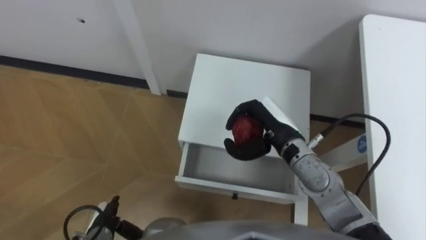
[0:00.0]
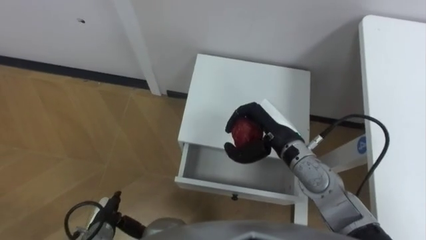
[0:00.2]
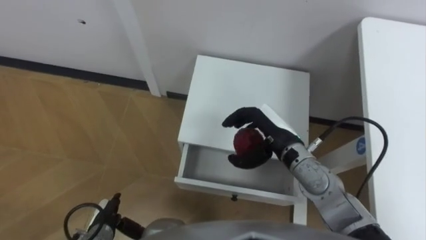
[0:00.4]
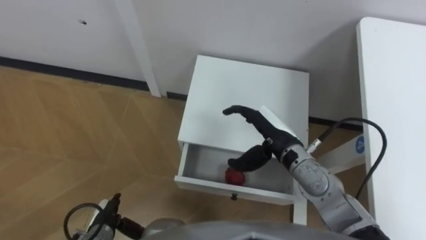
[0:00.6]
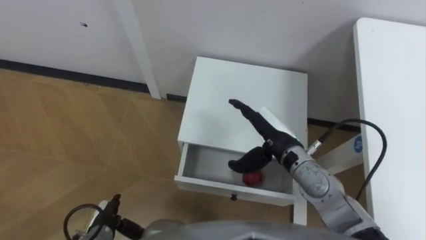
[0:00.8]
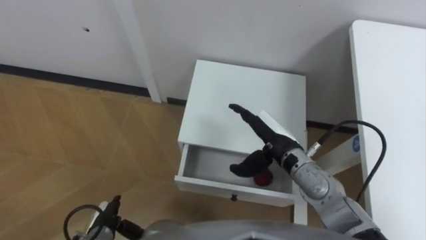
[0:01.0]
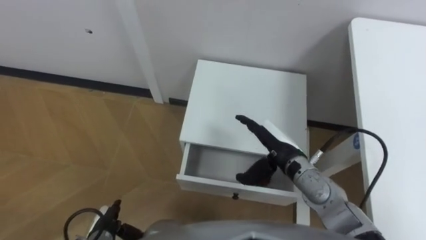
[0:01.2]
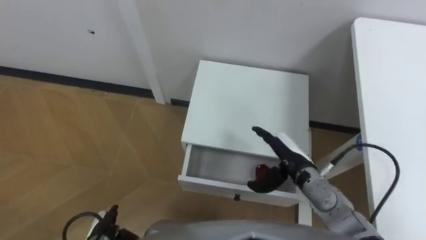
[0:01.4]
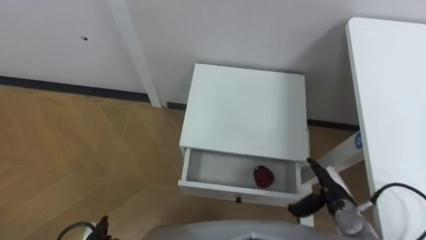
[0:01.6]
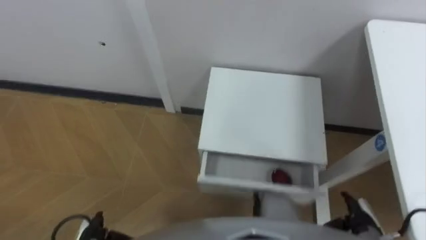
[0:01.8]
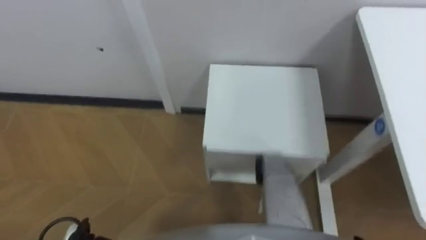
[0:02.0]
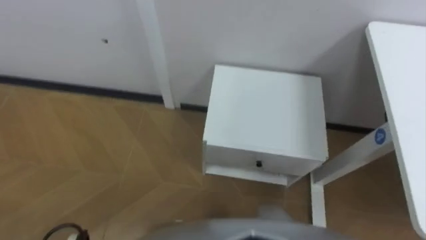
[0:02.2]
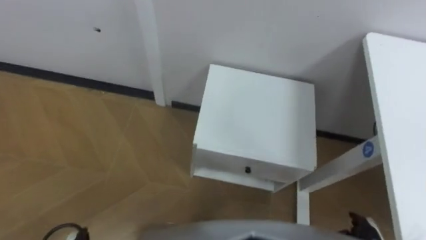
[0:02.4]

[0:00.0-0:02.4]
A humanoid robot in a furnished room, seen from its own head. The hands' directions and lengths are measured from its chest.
Task of the whole recording: Pick up the apple from the table, put it in the drawer, and close the drawer with leg.
0:00.0 to 0:01.2: The right hand shifts by some 5 cm, and opens up.
